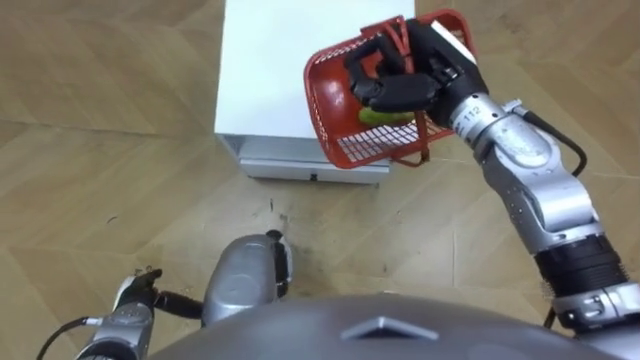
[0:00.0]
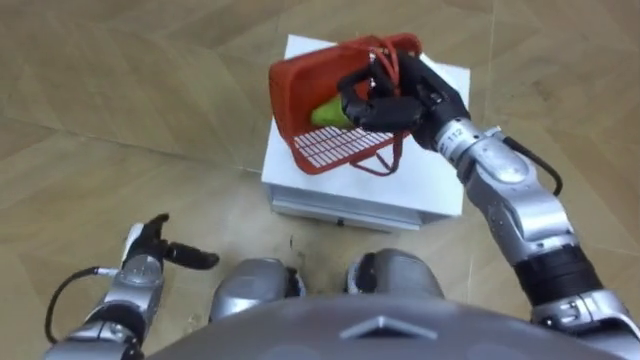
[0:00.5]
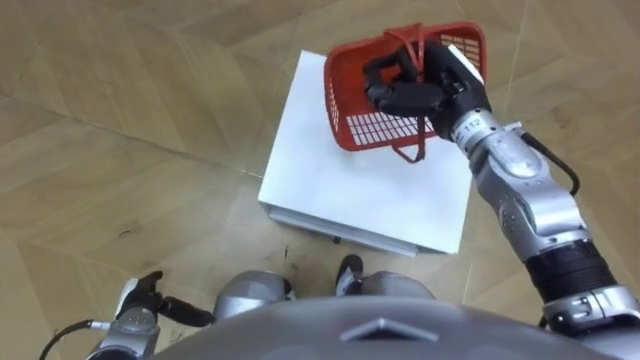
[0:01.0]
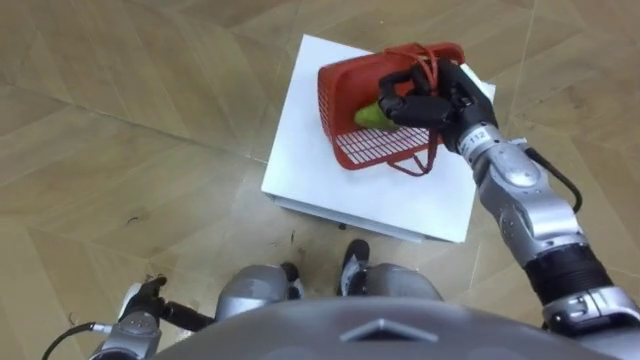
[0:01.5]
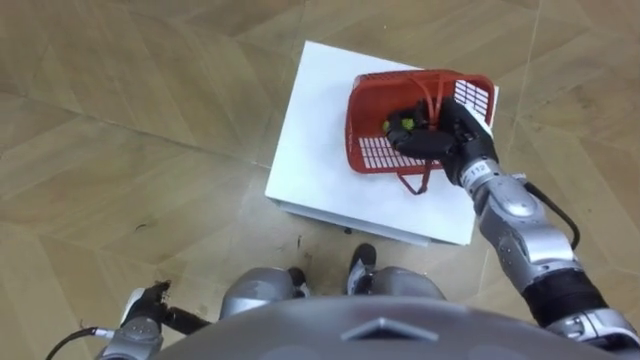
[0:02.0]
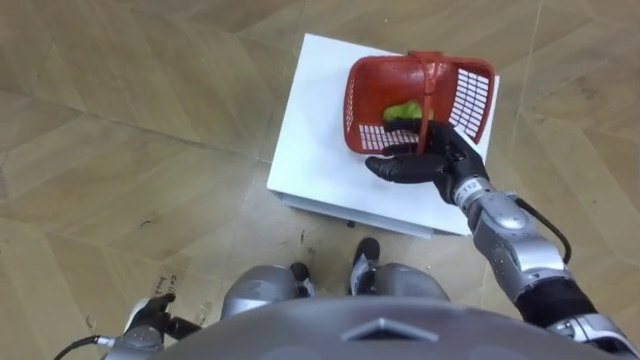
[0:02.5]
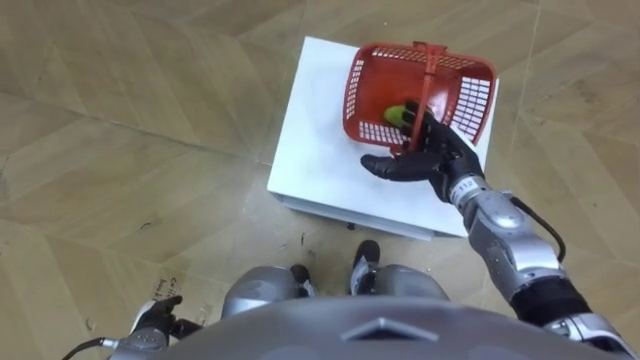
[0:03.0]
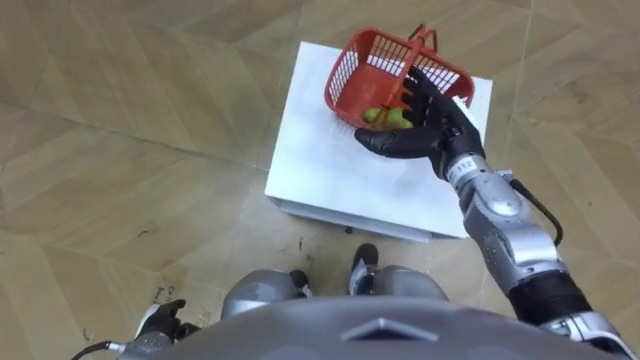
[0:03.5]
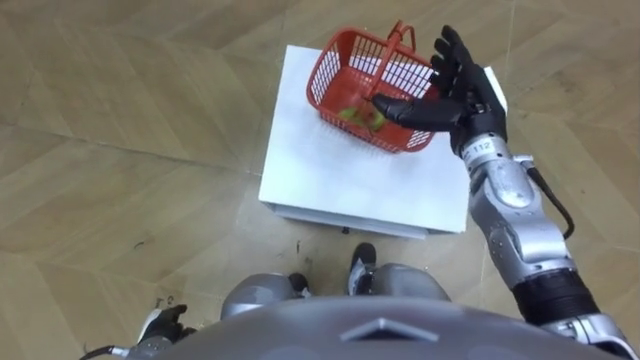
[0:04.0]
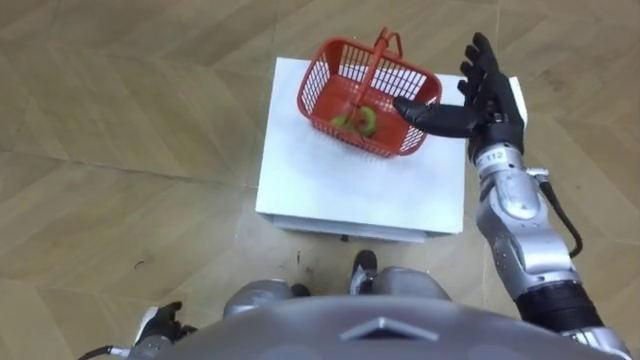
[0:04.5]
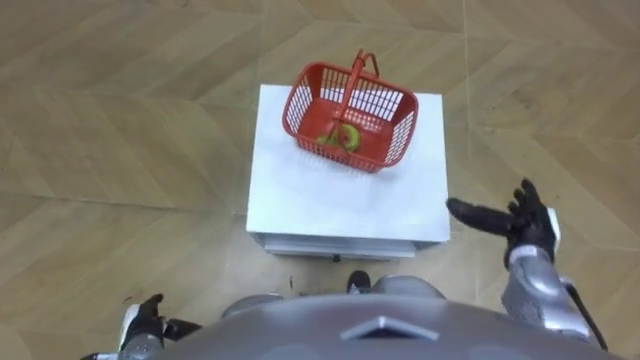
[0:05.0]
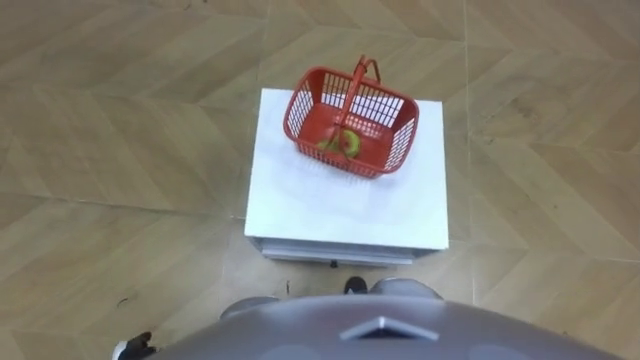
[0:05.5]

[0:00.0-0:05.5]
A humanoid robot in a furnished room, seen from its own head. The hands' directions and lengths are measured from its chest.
Task of the whole recording: Pick up the fruit basket from the floor and place it on the cabinet.
0:00.0 to 0:02.0: The right hand moves downward and to the right, approximately 10 cm, while the left hand reaches about 10 cm forward, then returns.
0:02.0 to 0:03.5: The right hand opens its fingers.
0:03.5 to 0:05.5: The right hand is displaced backward, downward and to the right by some 35 cm.
